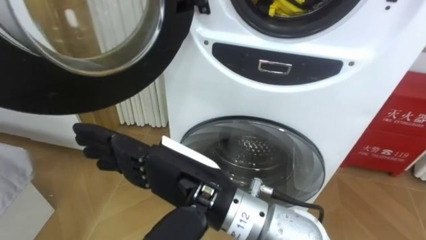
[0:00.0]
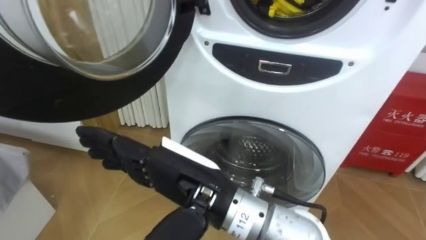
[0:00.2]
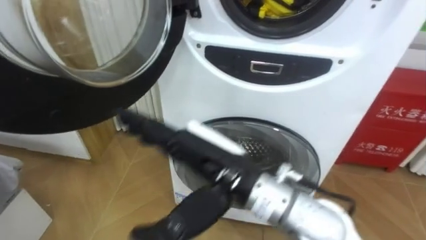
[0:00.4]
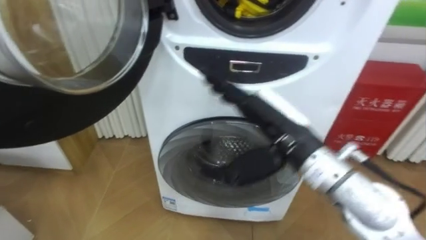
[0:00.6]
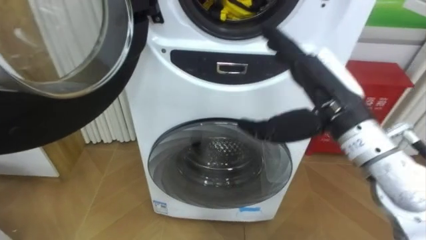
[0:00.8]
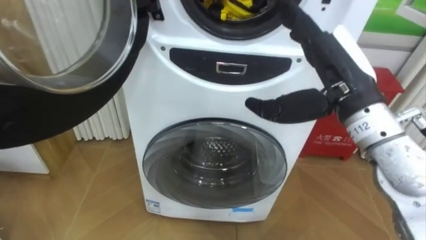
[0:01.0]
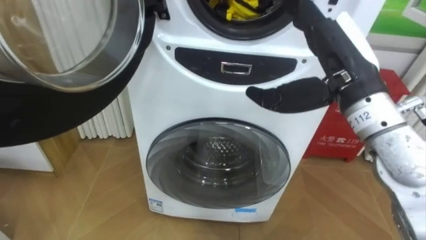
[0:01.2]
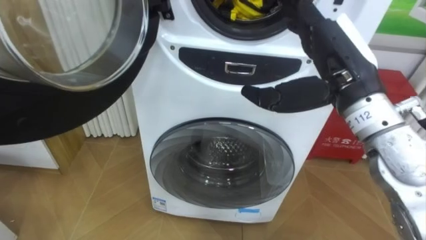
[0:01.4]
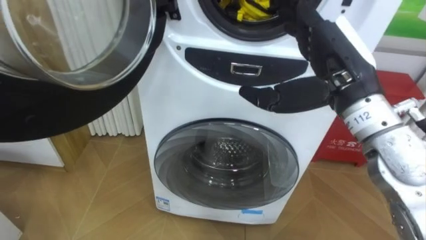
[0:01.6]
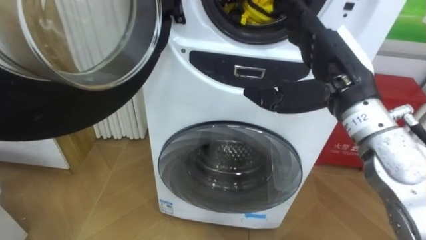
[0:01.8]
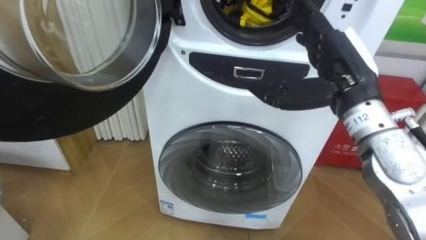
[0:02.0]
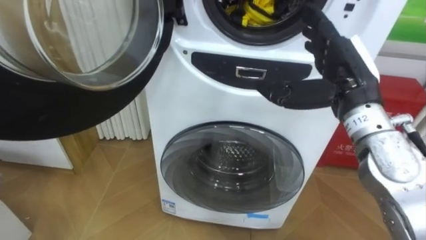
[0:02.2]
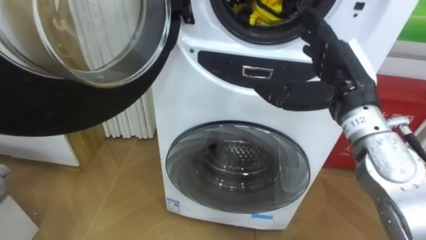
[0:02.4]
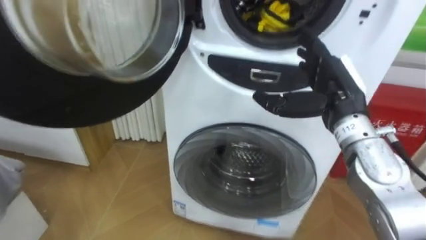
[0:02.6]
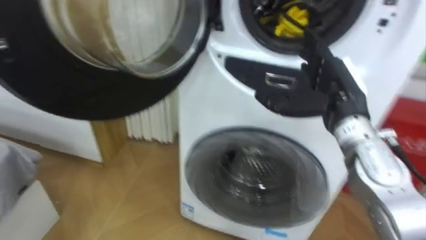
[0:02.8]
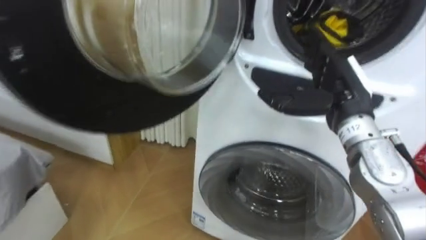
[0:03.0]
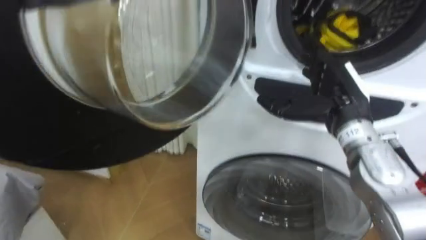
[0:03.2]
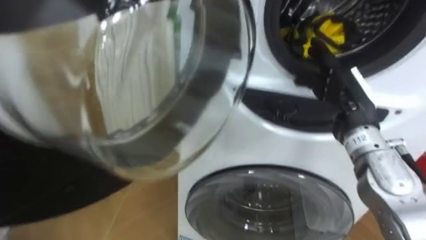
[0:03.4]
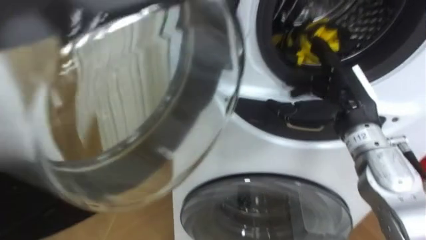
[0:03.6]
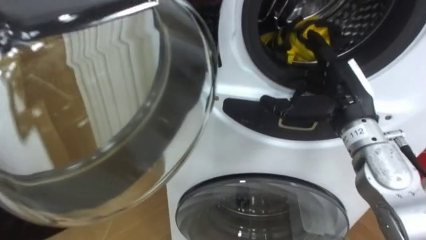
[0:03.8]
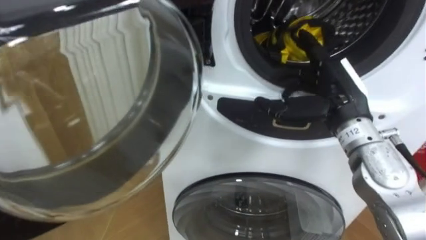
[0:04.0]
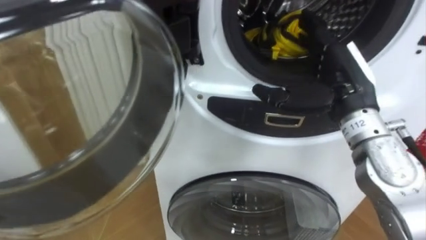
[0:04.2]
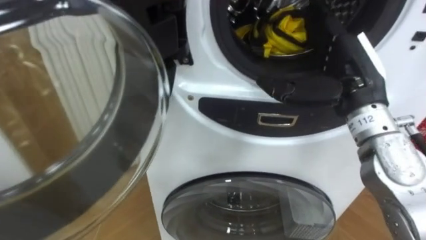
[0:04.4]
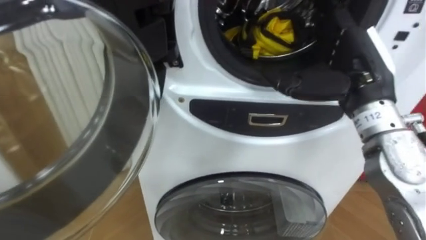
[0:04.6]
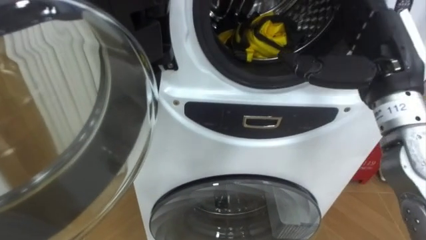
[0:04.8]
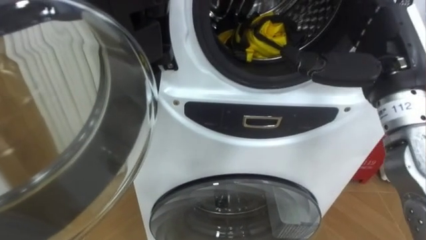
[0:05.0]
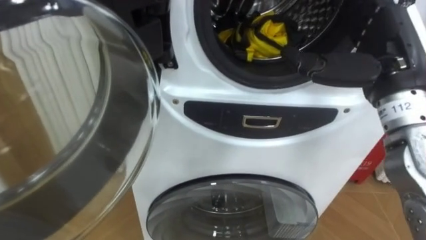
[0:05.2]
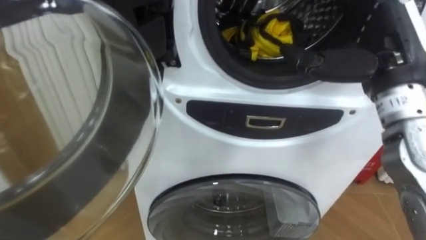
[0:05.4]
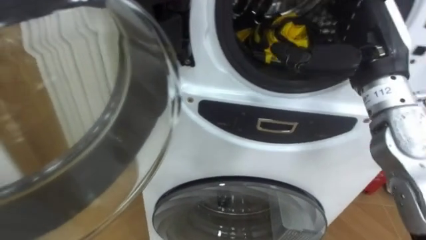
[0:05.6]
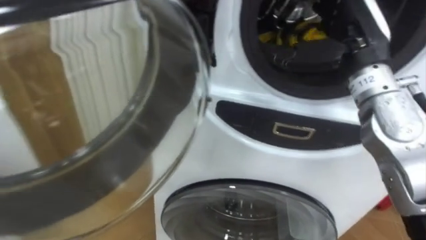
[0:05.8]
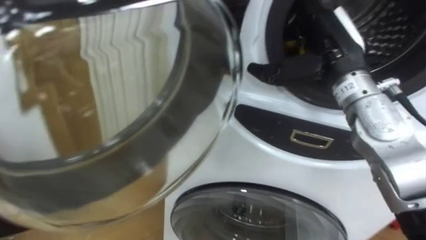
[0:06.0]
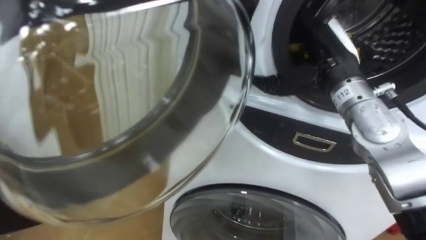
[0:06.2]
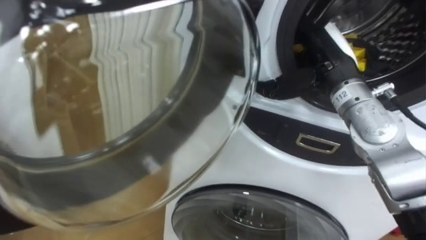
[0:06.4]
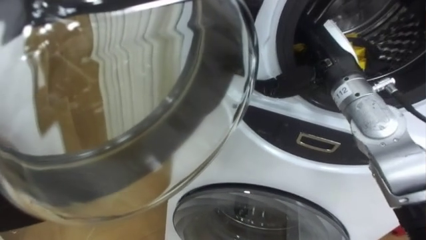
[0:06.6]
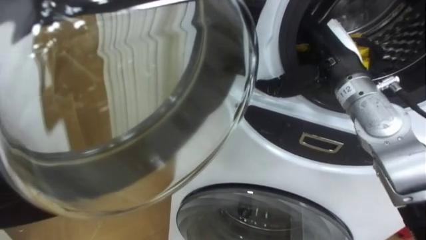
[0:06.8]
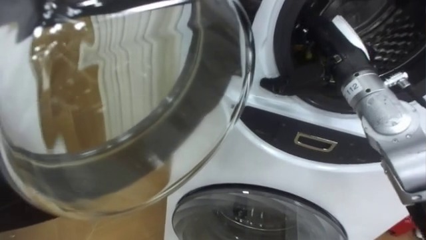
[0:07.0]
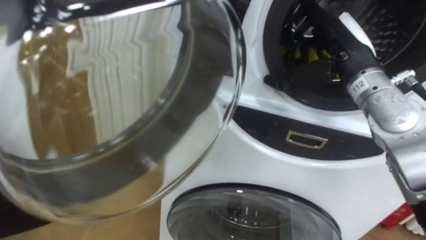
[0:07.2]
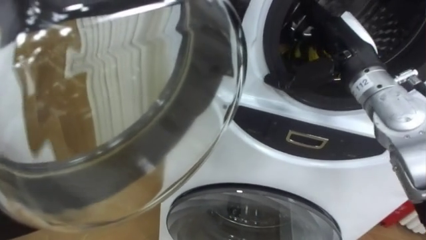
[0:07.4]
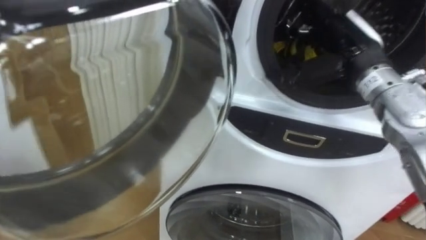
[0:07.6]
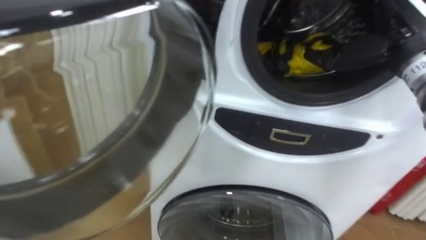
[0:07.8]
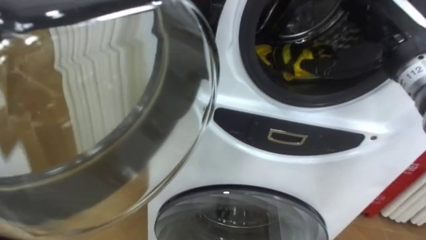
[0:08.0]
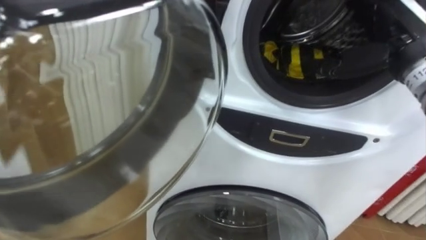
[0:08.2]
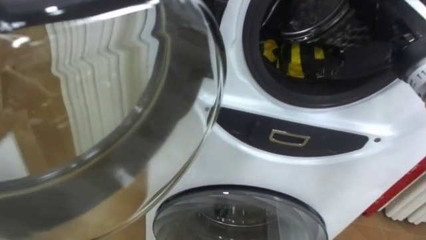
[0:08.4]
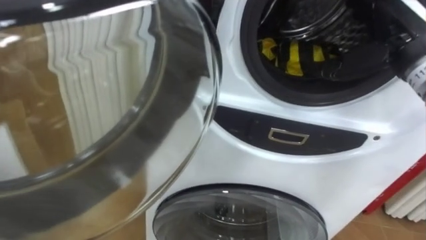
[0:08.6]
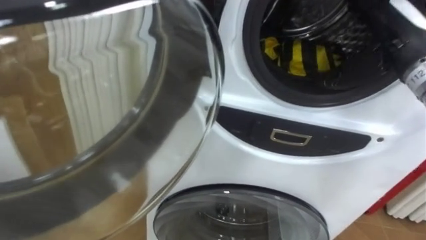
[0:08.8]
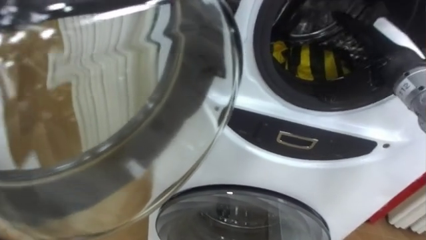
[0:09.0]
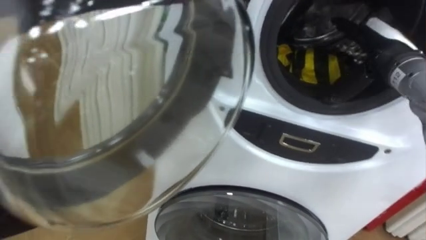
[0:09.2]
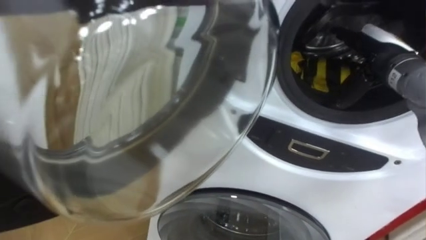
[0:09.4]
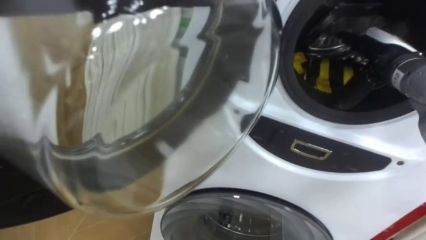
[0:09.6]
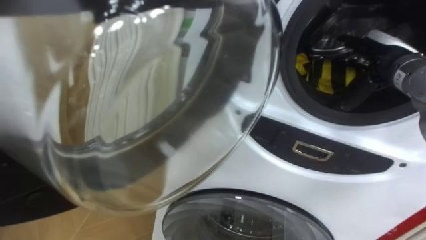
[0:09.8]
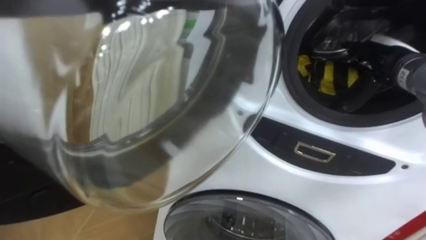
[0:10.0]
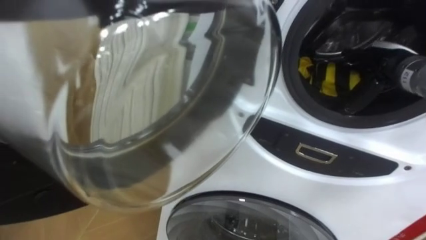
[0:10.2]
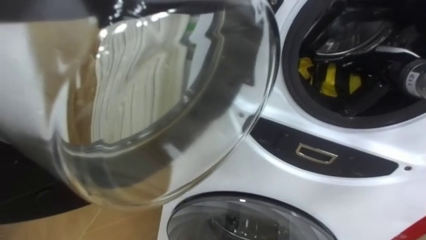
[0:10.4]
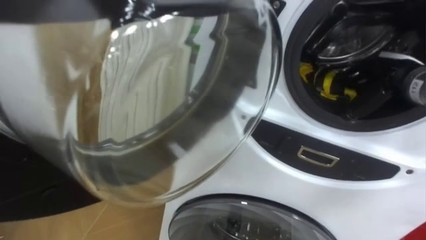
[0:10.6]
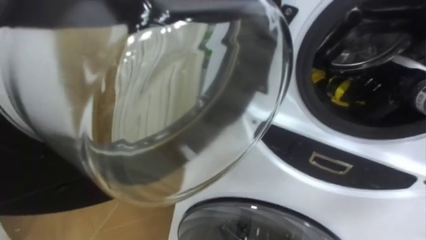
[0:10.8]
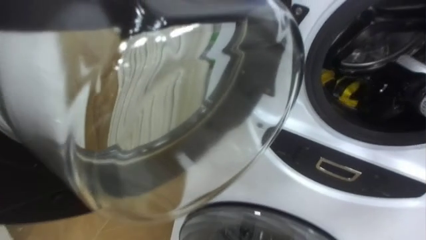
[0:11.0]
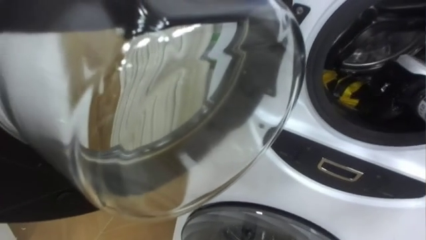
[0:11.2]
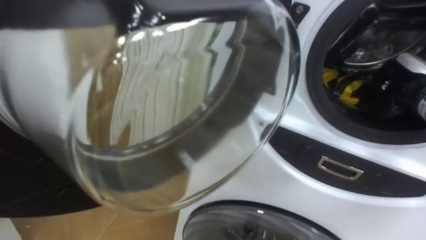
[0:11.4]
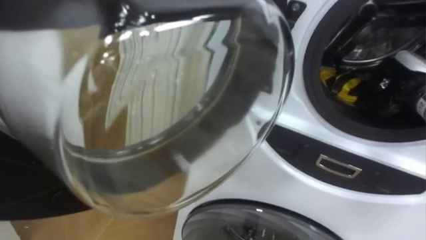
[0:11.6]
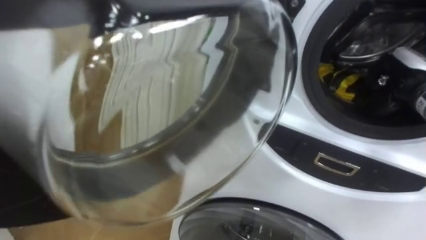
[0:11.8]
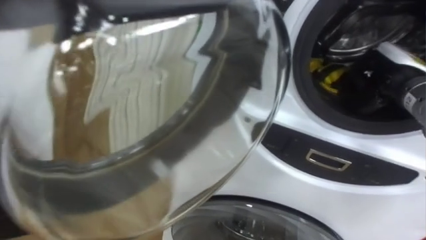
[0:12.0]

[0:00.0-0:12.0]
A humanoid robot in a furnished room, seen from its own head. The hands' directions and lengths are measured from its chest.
Task of the whole recording: Open the washing machine door, take out the yellow clothes, place them in the box on the right, and close the washing machine door.
0:00.0 to 0:01.6: The right hand heads to the right and forward, covering about 20 cm.
0:01.6 to 0:03.0: The right hand travels downward by about 5 cm.
0:07.6 to 0:09.0: The right hand shifts about 5 cm to the right.
0:09.0 to 0:10.4: The right hand changes place by roughly 5 cm.
0:10.4 to 0:12.0: The right hand closes up.

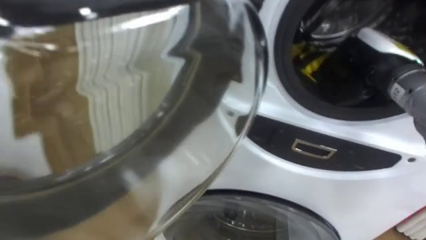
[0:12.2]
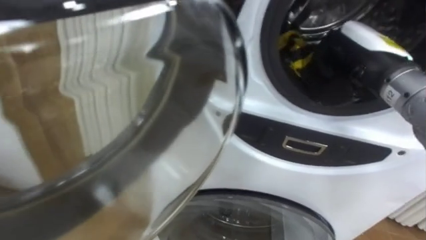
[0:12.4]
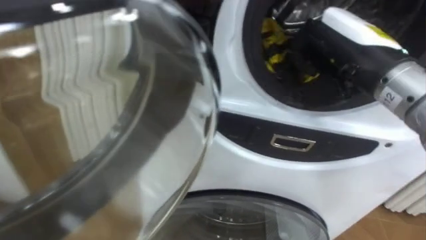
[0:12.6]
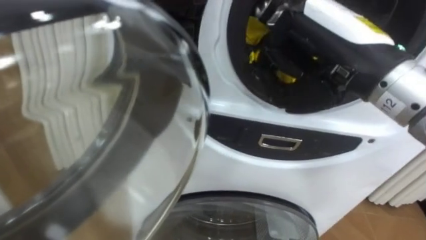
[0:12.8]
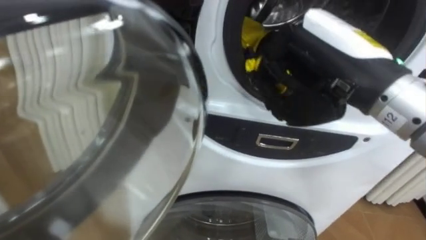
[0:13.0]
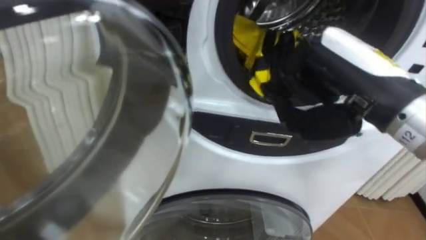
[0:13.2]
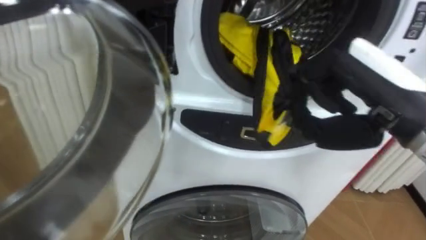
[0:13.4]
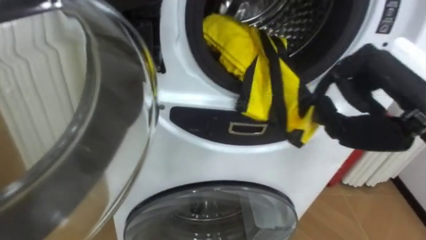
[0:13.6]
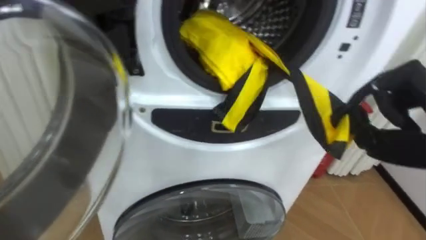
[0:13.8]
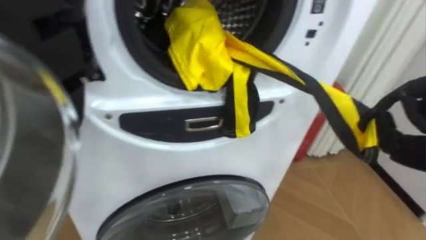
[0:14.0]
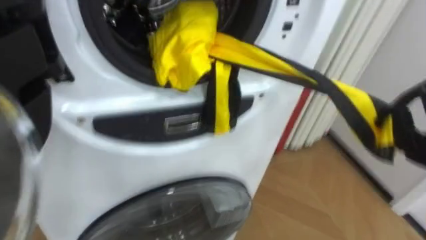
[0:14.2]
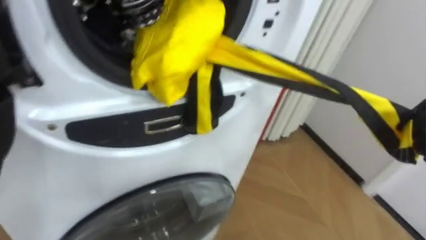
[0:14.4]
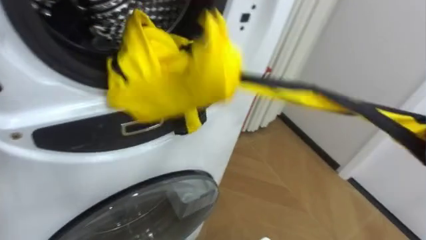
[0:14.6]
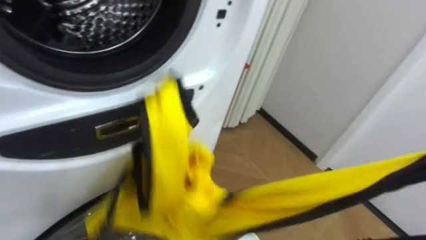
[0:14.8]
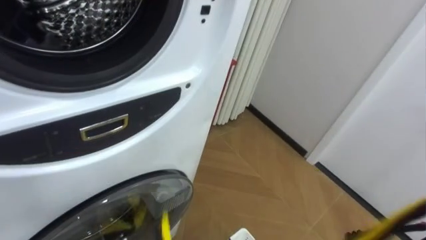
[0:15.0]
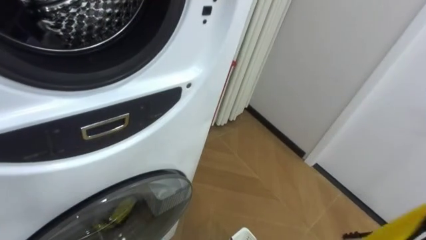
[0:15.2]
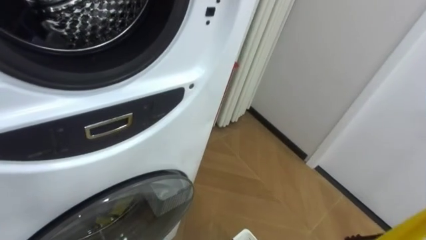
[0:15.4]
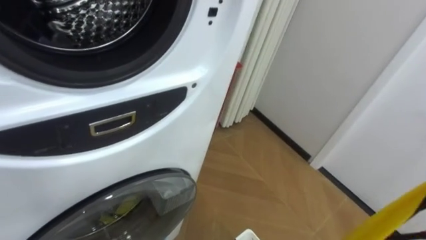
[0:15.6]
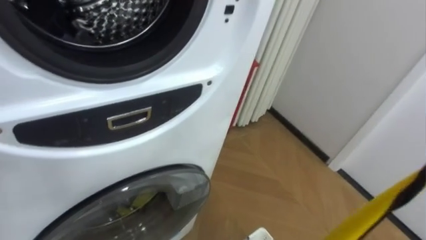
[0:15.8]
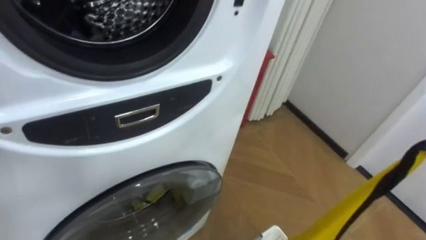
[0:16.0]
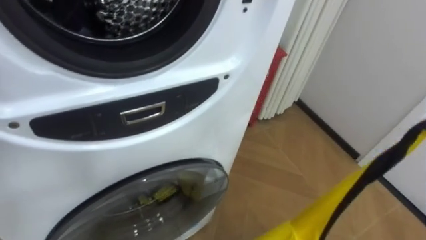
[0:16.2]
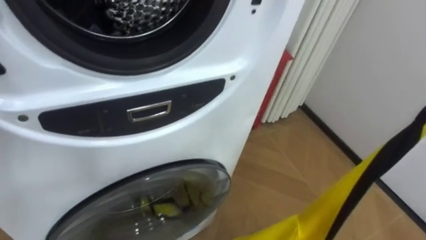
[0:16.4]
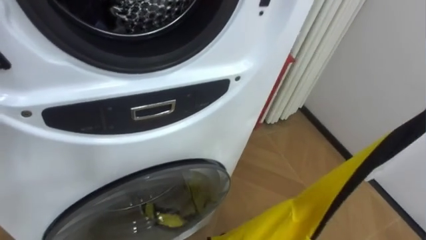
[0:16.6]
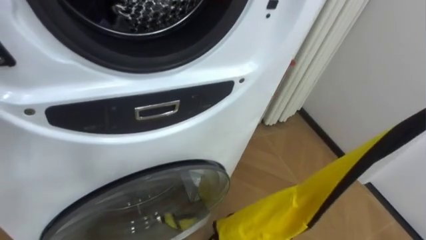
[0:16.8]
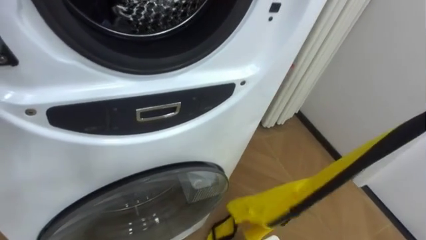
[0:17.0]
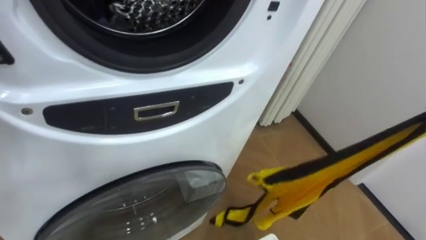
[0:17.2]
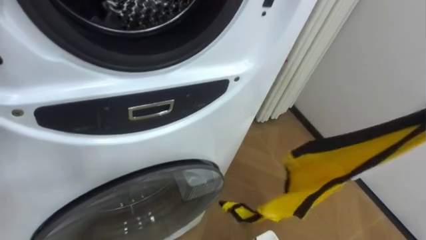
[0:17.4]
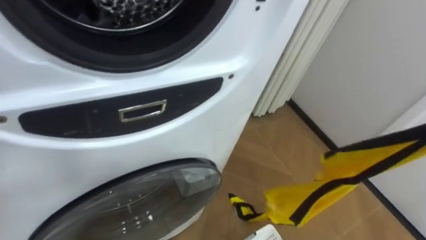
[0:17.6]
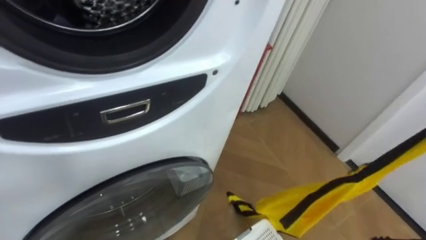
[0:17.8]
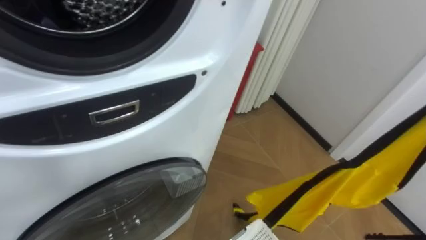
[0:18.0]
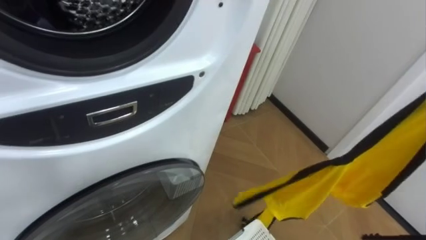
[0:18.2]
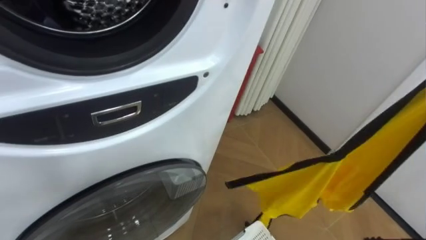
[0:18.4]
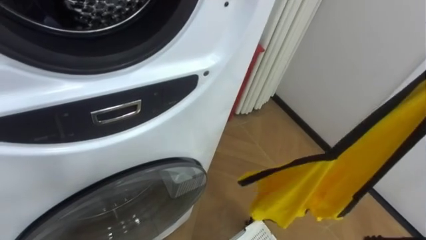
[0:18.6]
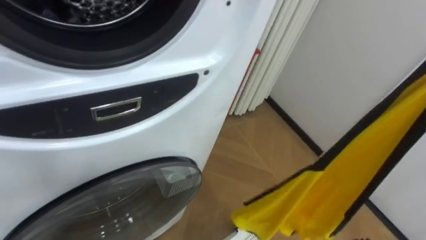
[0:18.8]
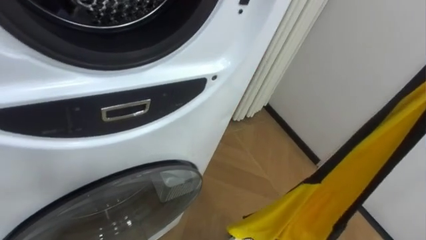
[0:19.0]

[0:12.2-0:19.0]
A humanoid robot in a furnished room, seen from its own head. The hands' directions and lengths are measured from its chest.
Task of the whole recording: Open the washing machine door, take out the yellow clothes, place them in the box on the right, and close the washing machine door.
0:12.2 to 0:13.6: The right hand shifts roughly 15 cm backward.
